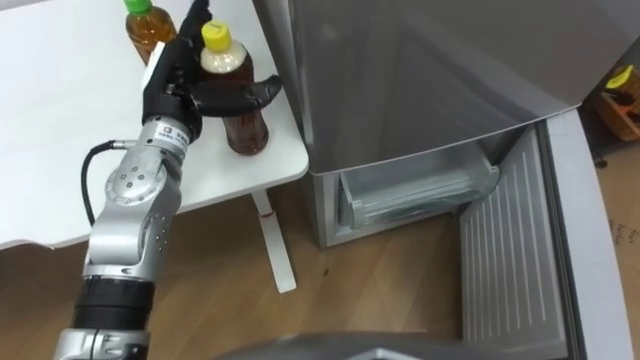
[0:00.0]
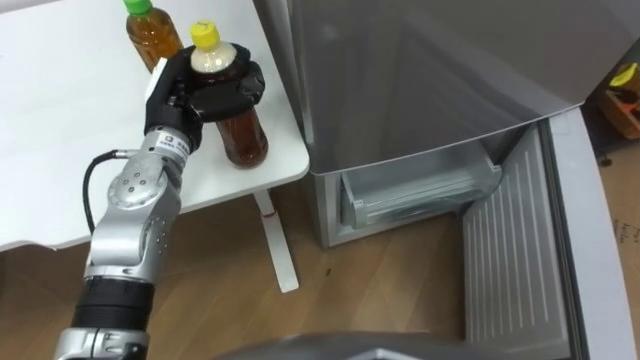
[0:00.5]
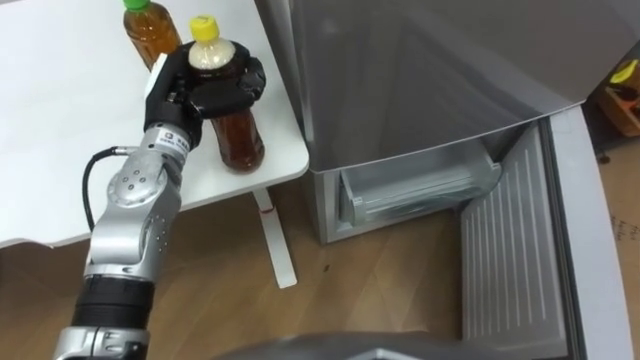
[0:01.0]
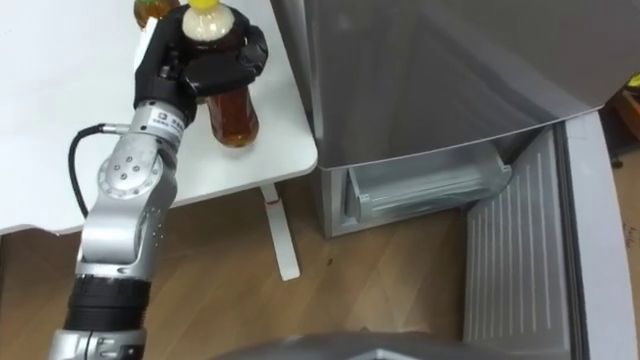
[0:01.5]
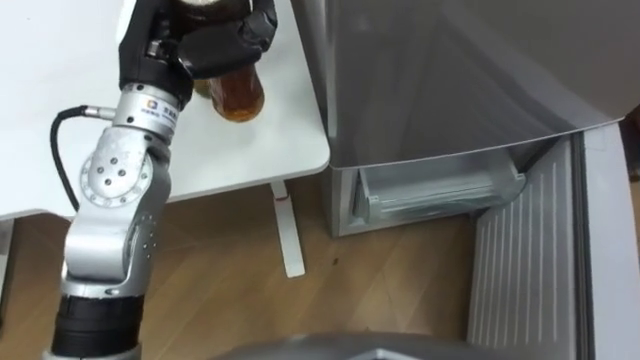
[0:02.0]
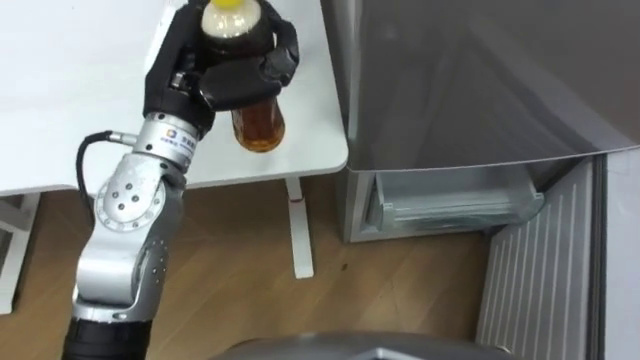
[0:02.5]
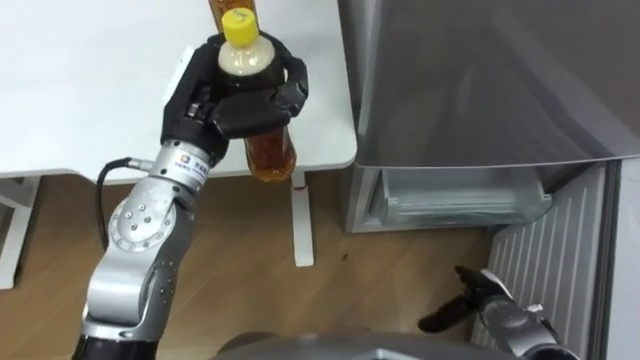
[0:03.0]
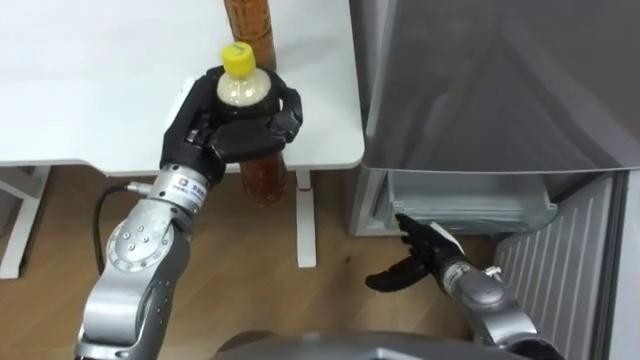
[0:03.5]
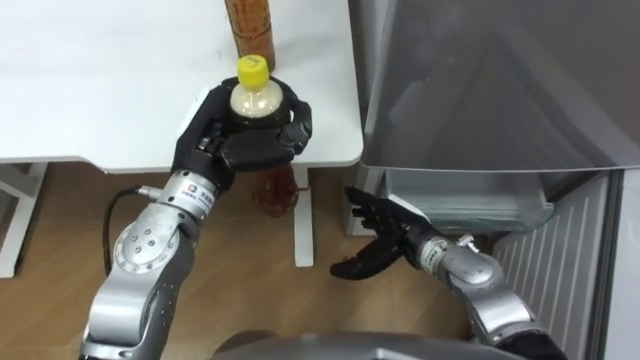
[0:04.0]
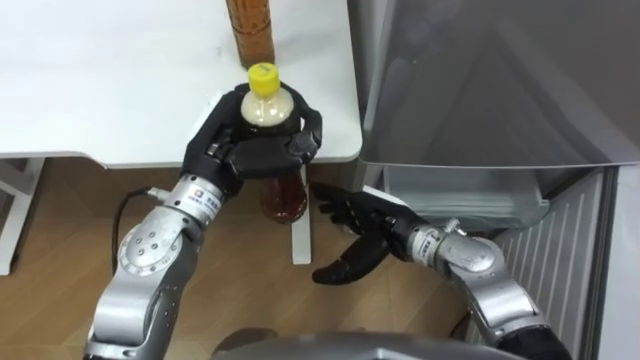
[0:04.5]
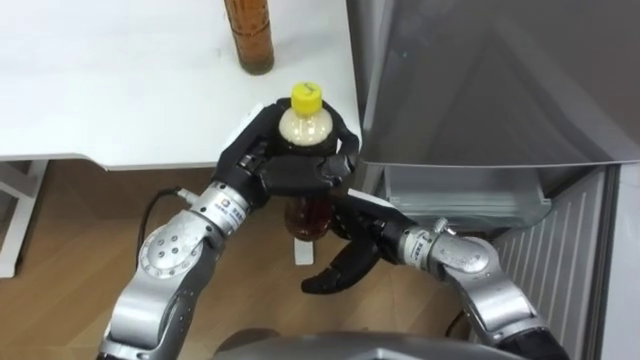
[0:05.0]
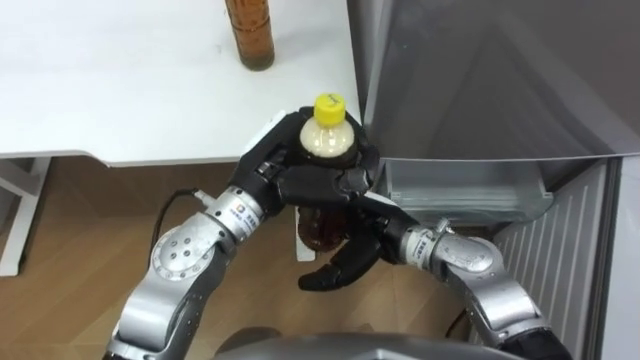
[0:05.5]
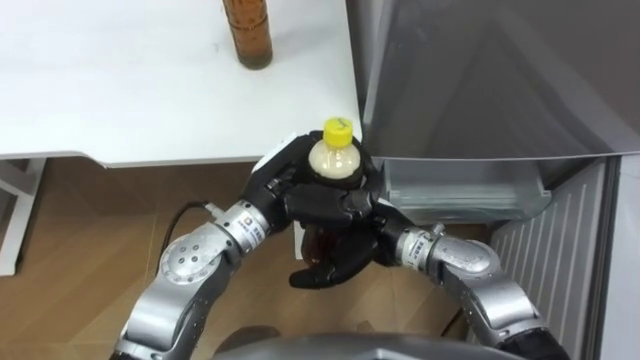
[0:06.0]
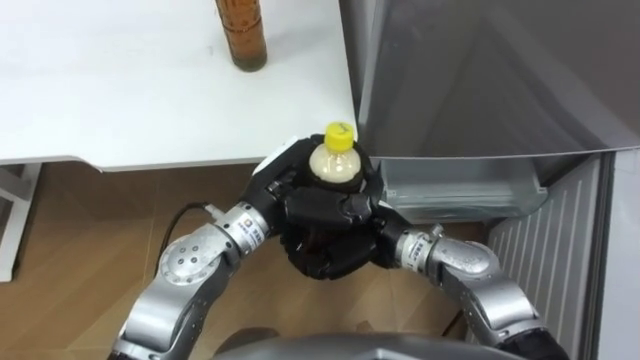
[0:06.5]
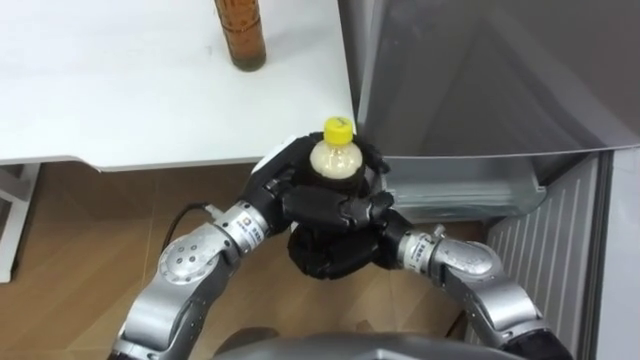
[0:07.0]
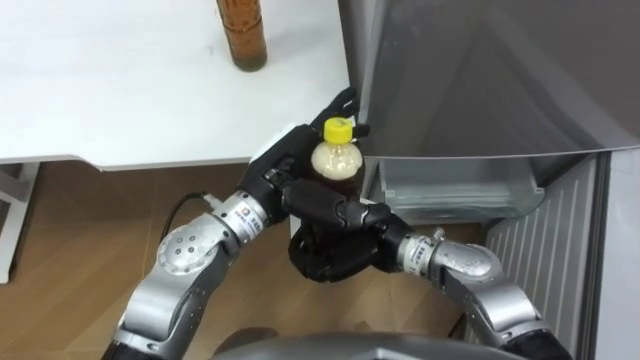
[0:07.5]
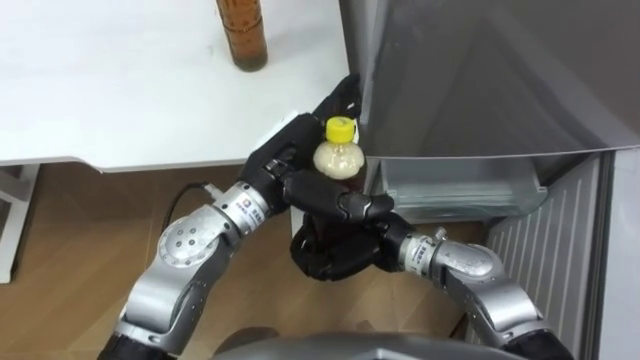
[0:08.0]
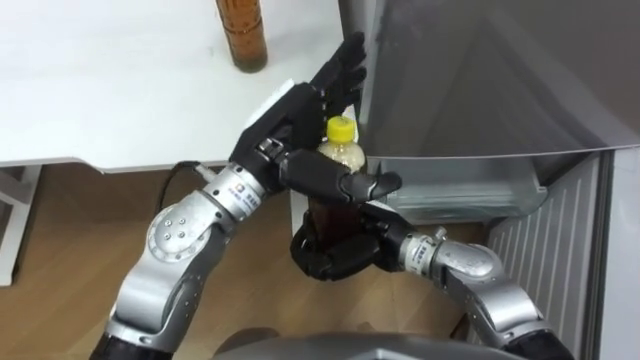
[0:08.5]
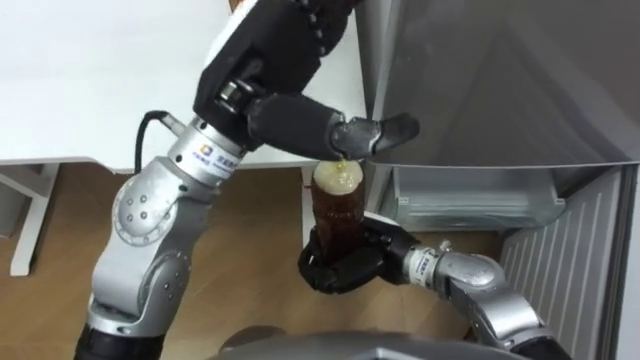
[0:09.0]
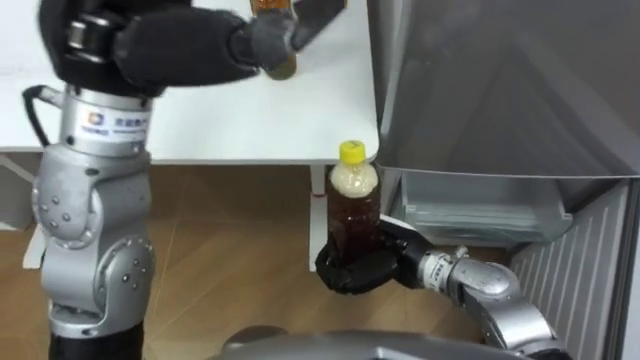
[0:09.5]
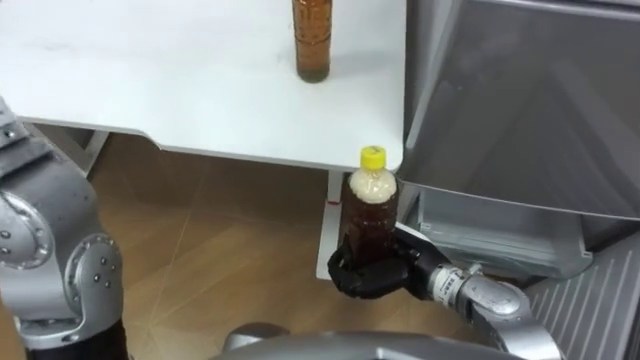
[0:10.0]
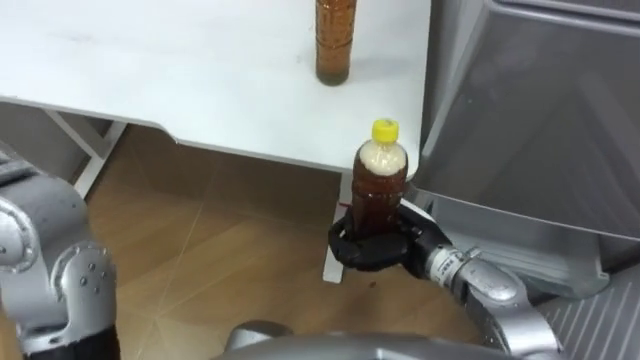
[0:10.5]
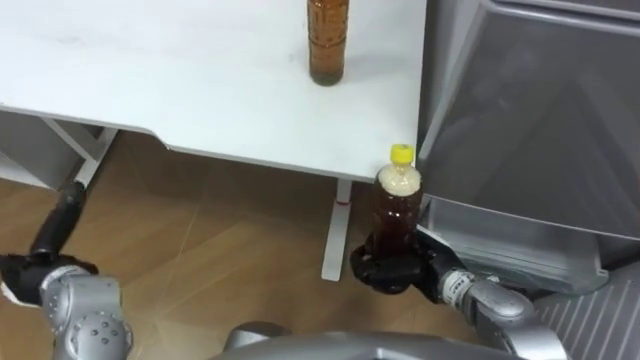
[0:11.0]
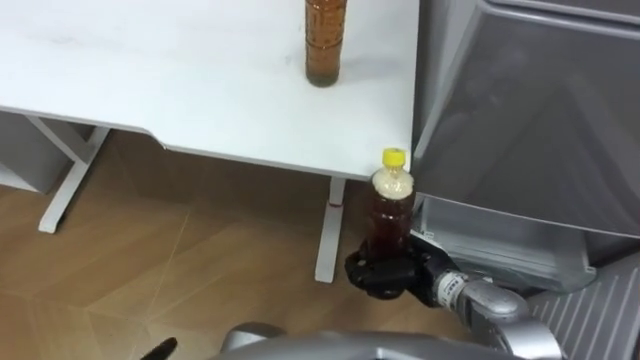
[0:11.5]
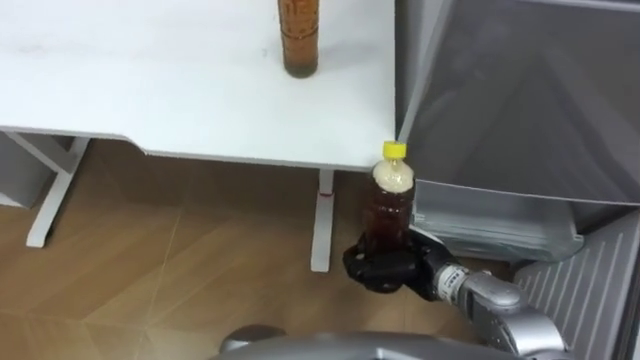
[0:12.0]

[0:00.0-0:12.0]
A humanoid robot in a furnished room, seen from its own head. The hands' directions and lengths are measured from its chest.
Task of the whole recording: Place the drink on the table on the bottom shelf of the refrigerator, then close the drawer and the refrigerator door.
0:00.0 to 0:02.0: The left hand shifts about 10 cm upward, and closes.
0:02.0 to 0:04.0: The left hand travels downward by about 10 cm.
0:04.0 to 0:06.0: The left hand shifts some 10 cm to the right; the right hand goes some 10 cm to the left and upward.
0:06.0 to 0:08.0: The left hand opens its fingers. The right hand closes its fingers.
0:08.0 to 0:10.0: The right hand goes about 5 cm to the right.

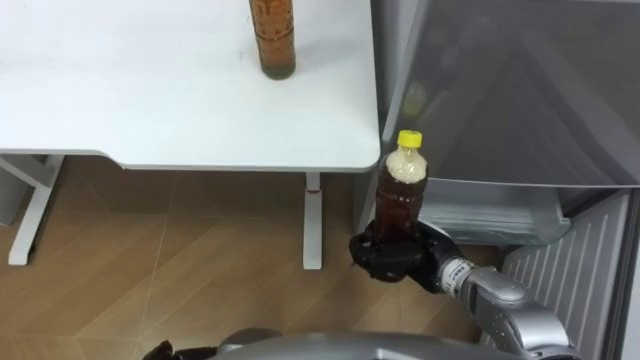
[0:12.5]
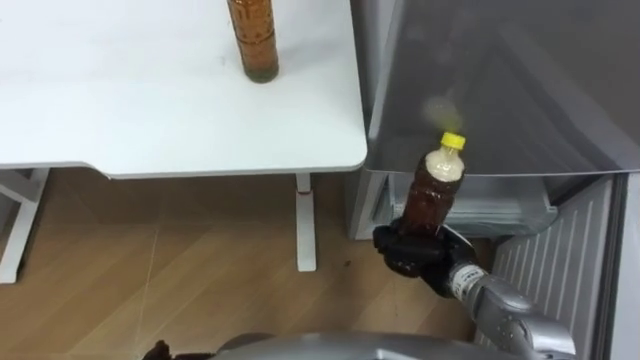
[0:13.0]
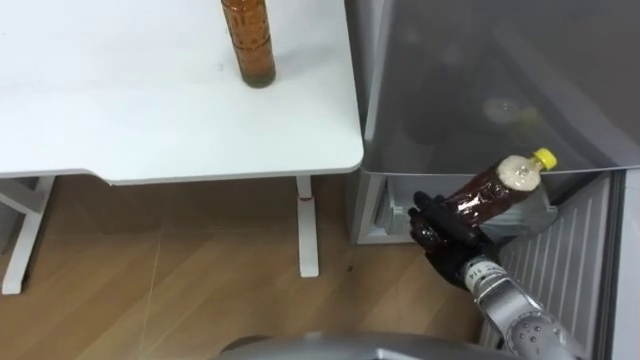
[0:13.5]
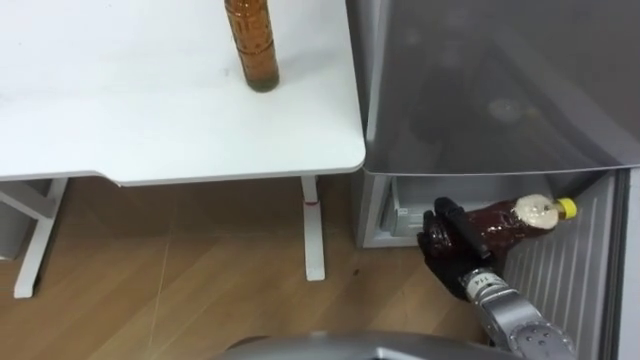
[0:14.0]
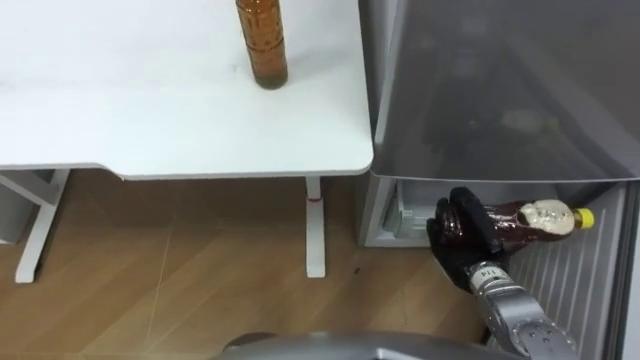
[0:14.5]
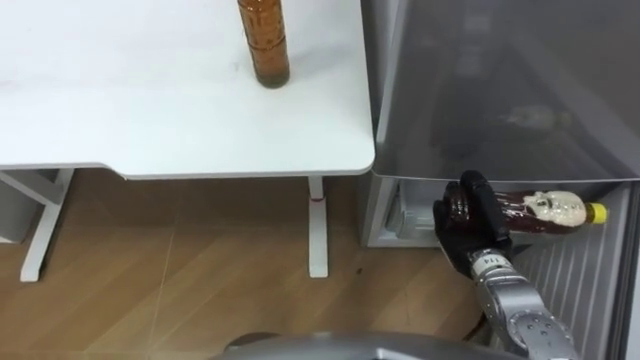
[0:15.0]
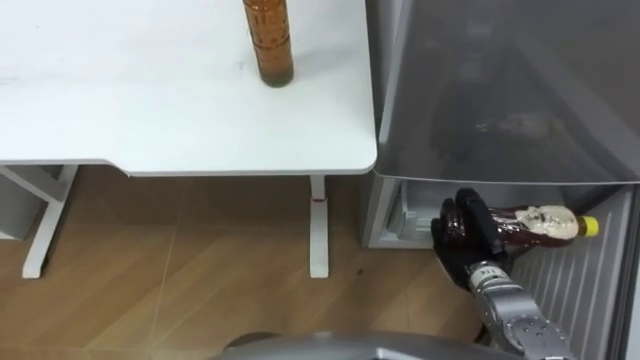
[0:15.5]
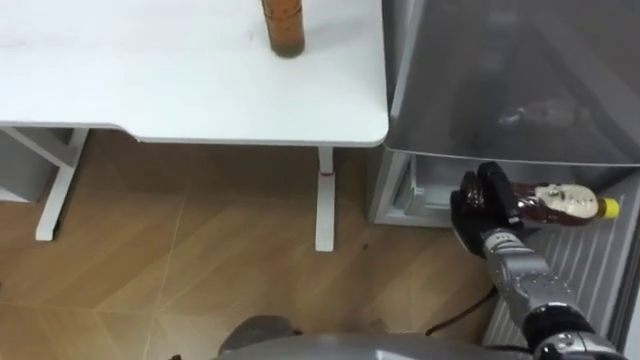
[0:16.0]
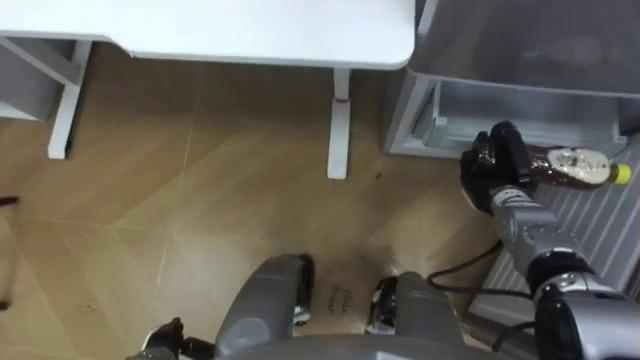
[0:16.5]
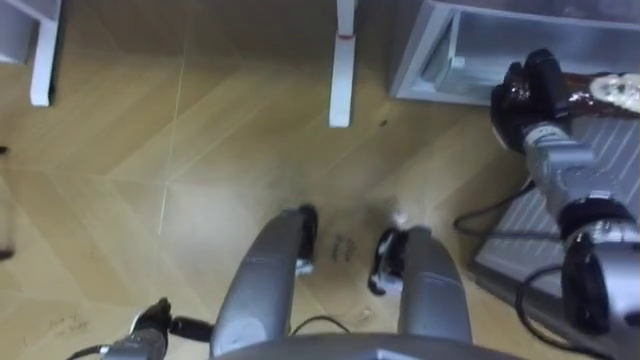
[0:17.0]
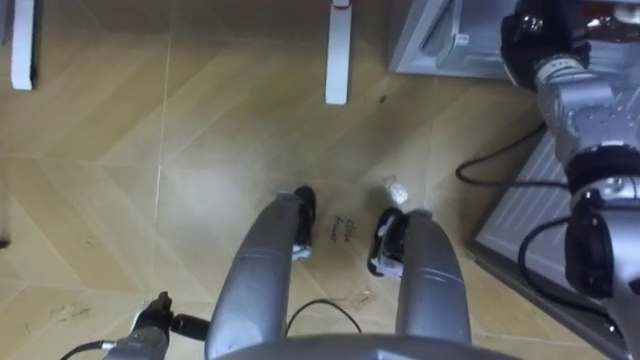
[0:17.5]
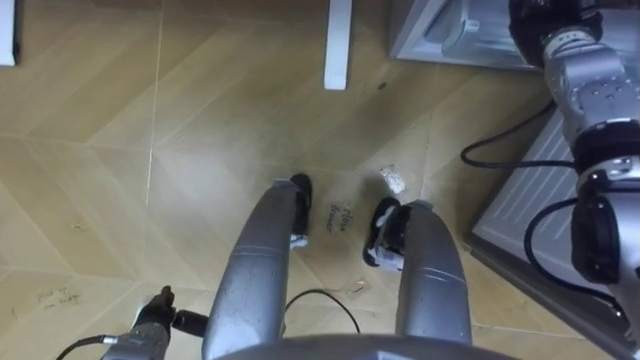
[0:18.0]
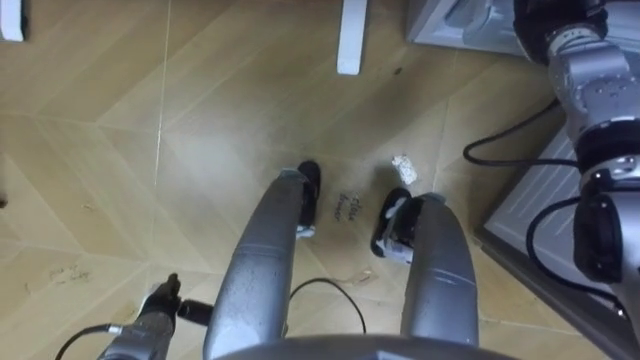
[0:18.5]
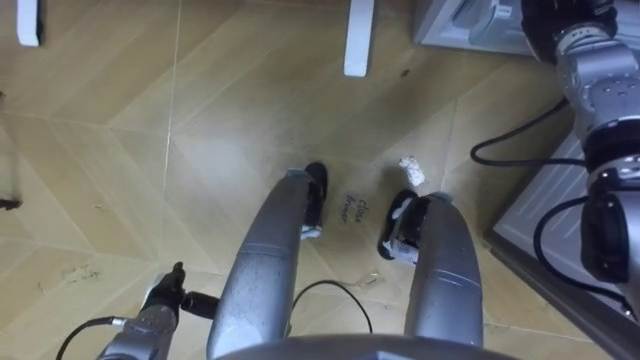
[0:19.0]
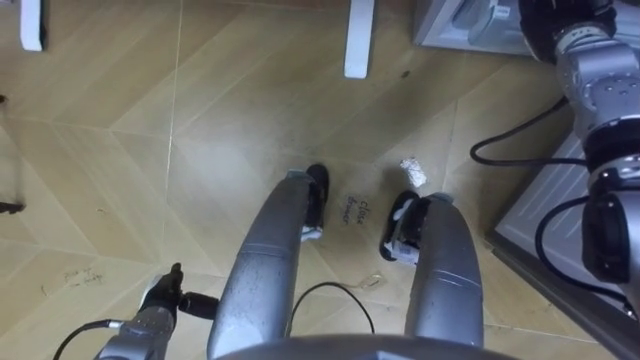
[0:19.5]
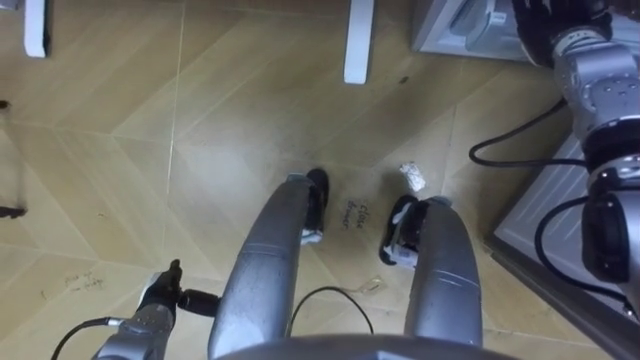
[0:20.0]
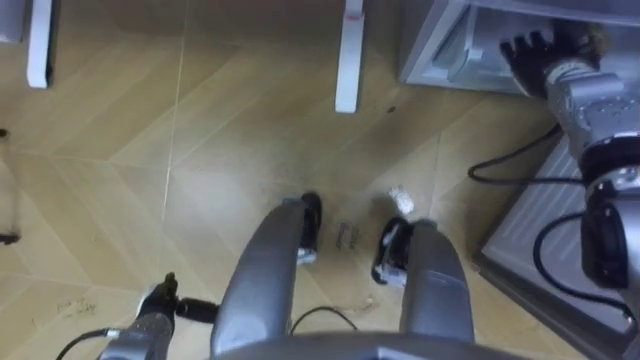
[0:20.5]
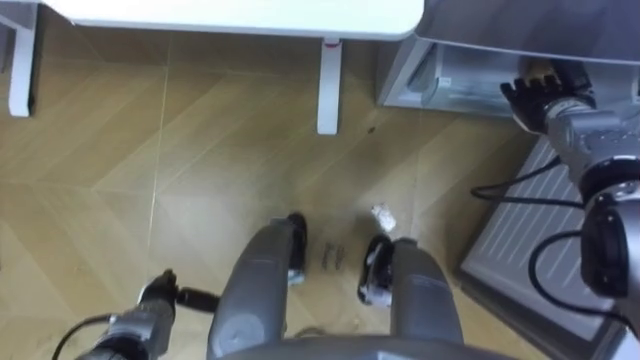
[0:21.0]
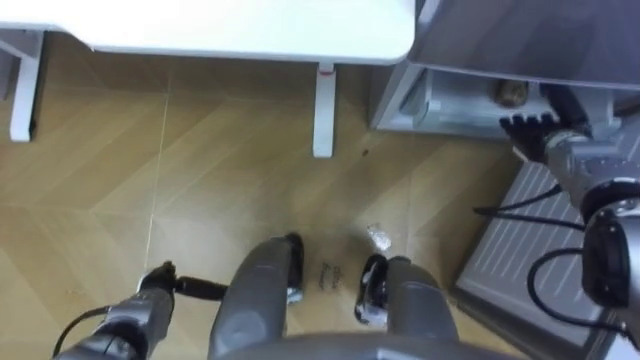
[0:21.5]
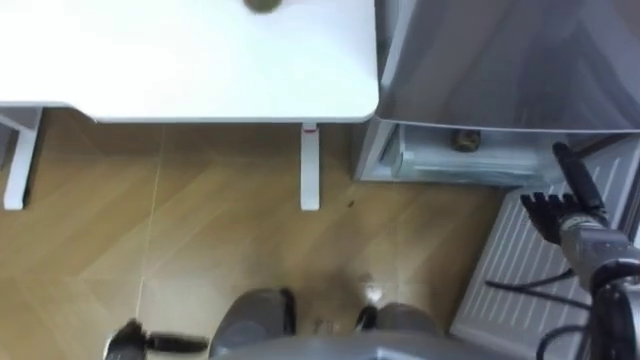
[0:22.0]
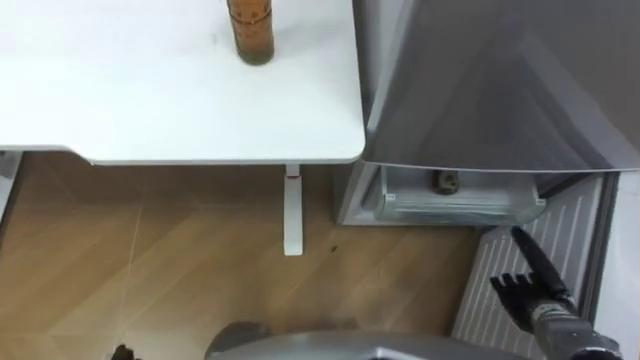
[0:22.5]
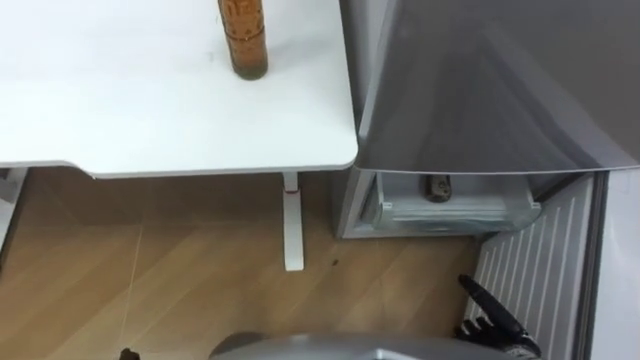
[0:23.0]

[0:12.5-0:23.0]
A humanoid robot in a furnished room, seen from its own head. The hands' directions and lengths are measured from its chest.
Task of the whole recording: Place the drink on the table on the bottom shelf of the refrigerator, then close the drawer and the refrigerator door.
0:12.5 to 0:14.5: The right hand moves to the right, about 5 cm.
0:14.5 to 0:16.5: The right hand shifts about 10 cm forward.
0:16.5 to 0:19.0: The right hand travels upward and forward by some 25 cm, and opens; the left hand is displaced forward by approximately 5 cm.
0:19.0 to 0:21.0: The right hand travels downward and backward by about 10 cm.
0:21.0 to 0:23.0: The right hand travels backward and downward by about 35 cm.
